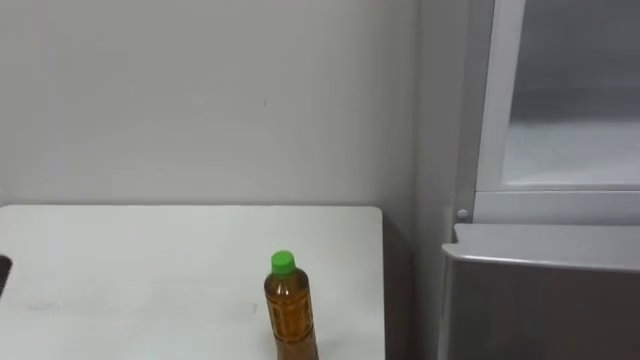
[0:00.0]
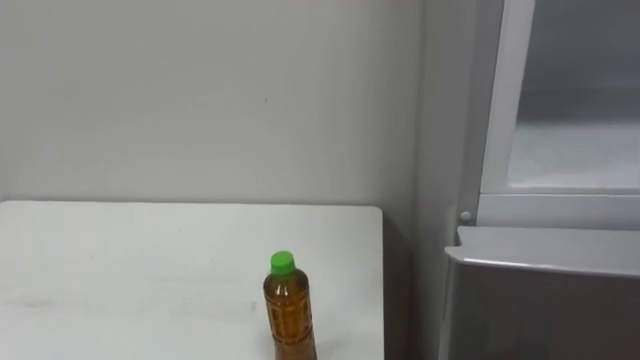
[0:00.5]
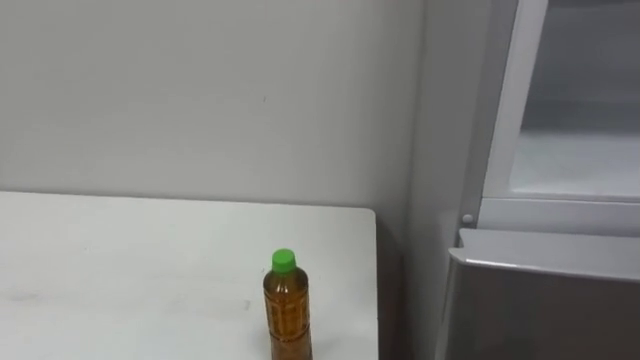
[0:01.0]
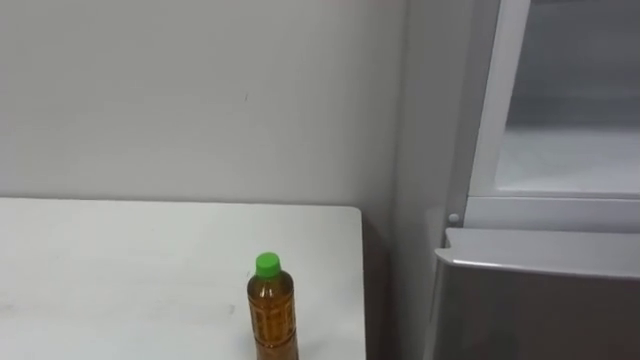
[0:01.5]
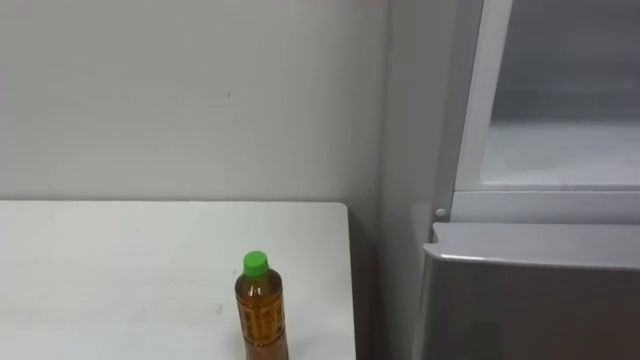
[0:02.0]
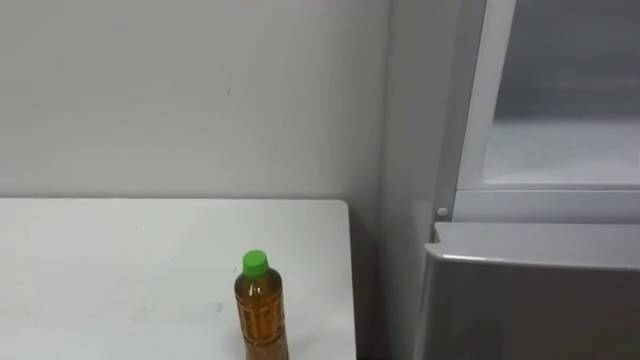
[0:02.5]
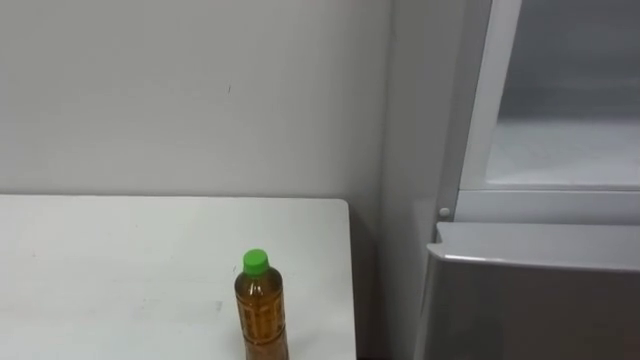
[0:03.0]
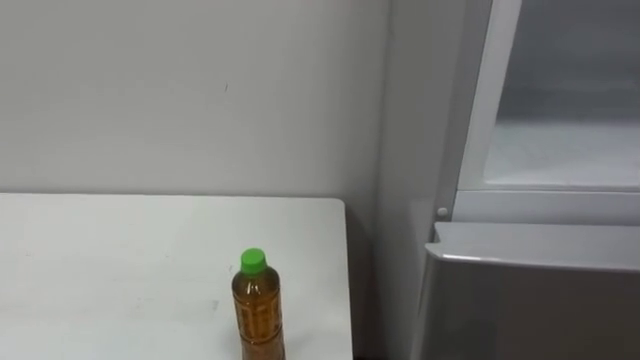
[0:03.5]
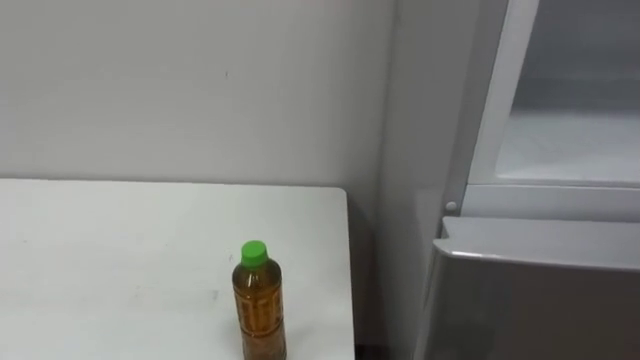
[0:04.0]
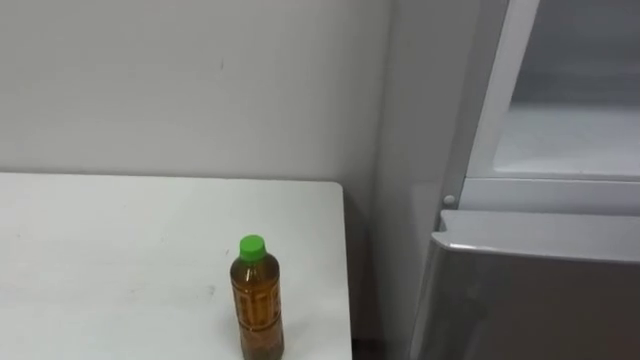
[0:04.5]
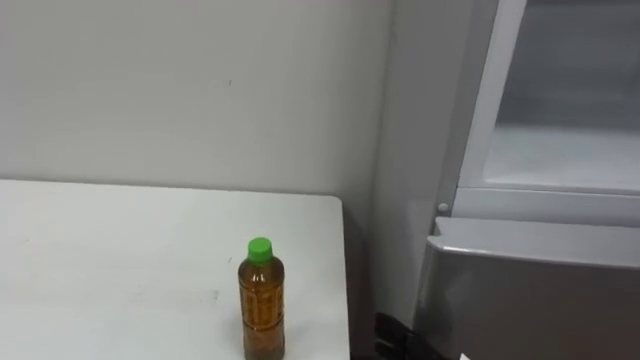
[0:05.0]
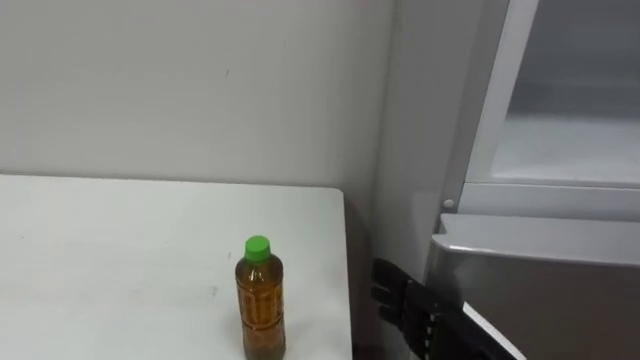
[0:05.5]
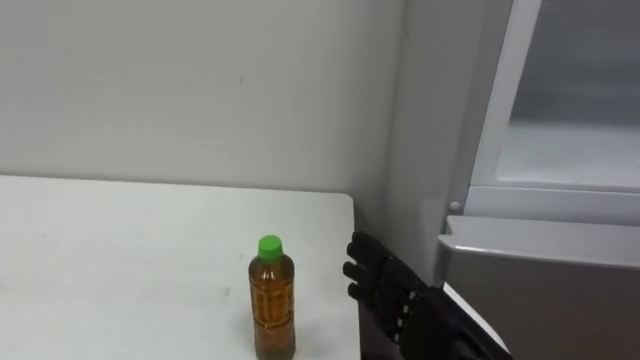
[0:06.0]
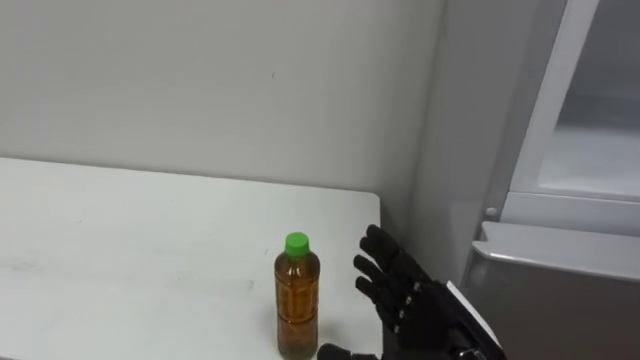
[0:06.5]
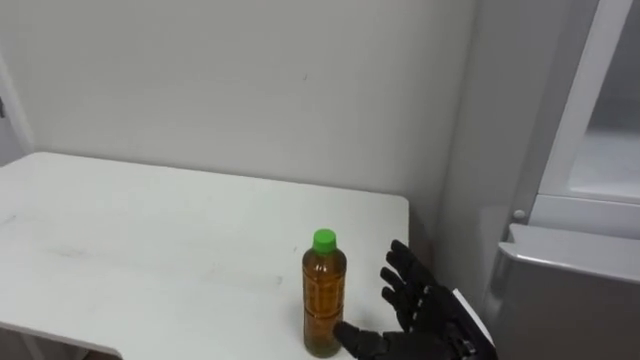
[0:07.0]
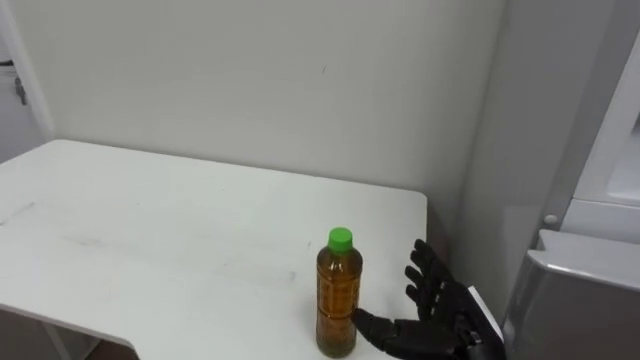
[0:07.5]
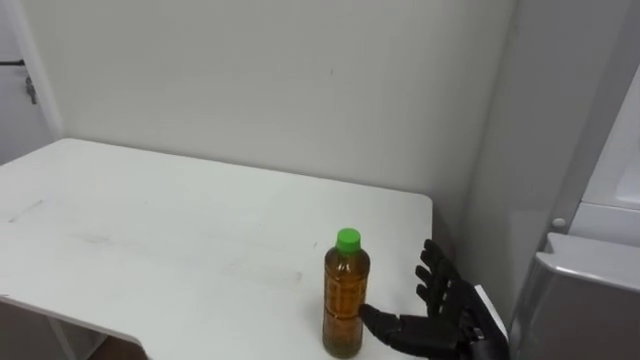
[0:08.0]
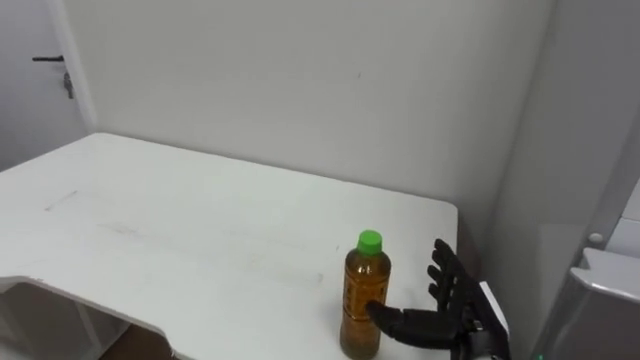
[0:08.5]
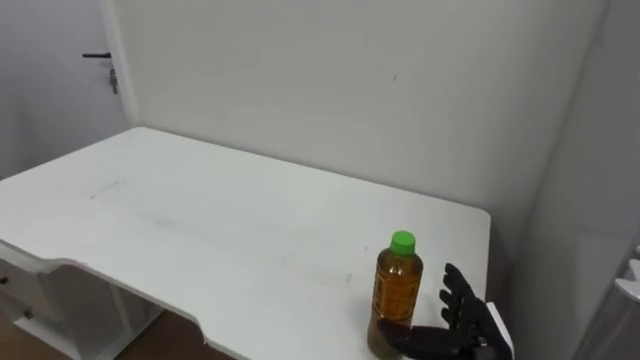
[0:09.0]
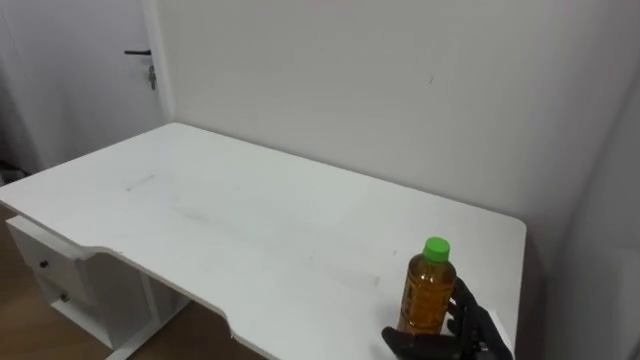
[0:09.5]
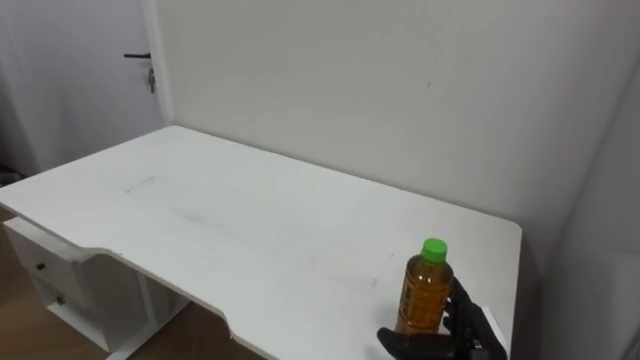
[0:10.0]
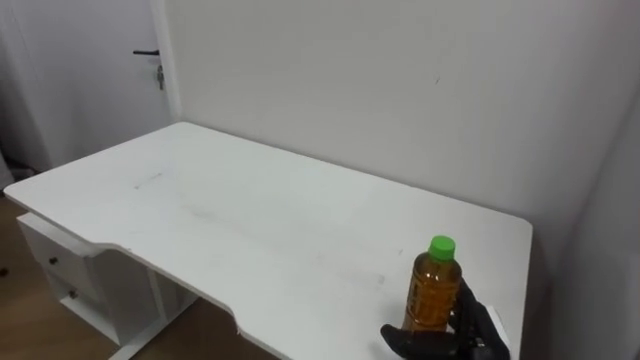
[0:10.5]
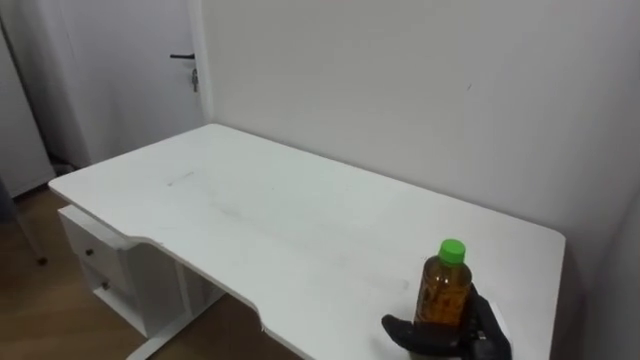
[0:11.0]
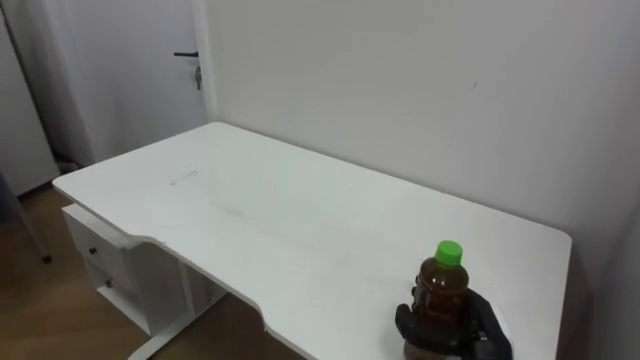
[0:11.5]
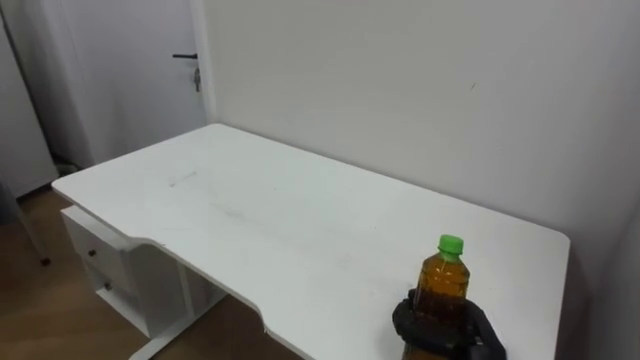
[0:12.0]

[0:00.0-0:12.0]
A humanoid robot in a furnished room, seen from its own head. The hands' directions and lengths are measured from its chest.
Task of the whole recording: Open the upper refrigerator door, put the drink from the table into the refrigerator, and then close the refrigerator door.
0:06.0 to 0:08.0: The right hand moves forward and downward, about 10 cm.
0:08.0 to 0:10.0: The right hand goes some 5 cm downward.
0:10.0 to 0:12.0: The right hand closes.

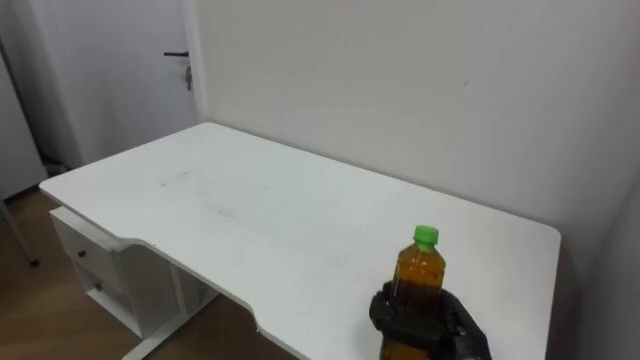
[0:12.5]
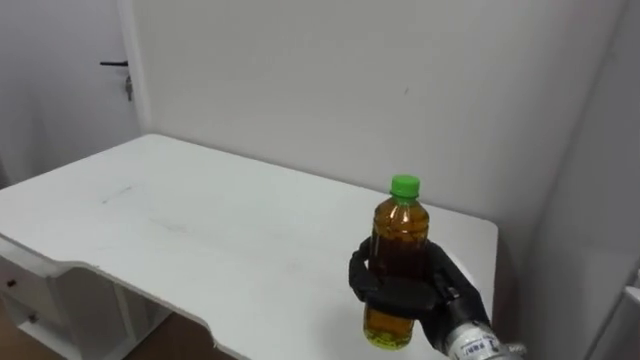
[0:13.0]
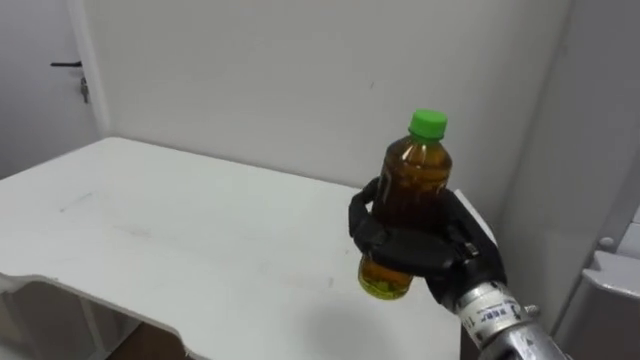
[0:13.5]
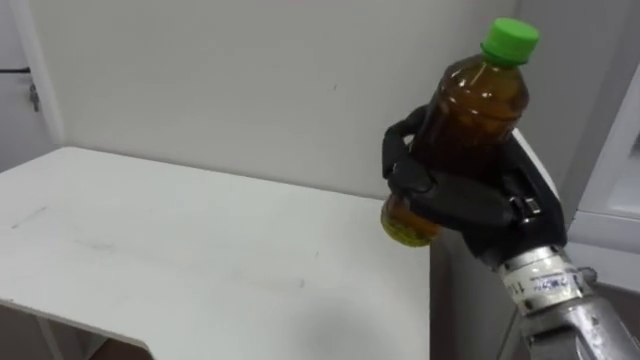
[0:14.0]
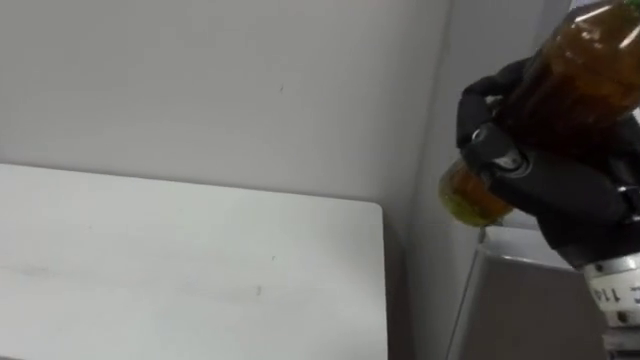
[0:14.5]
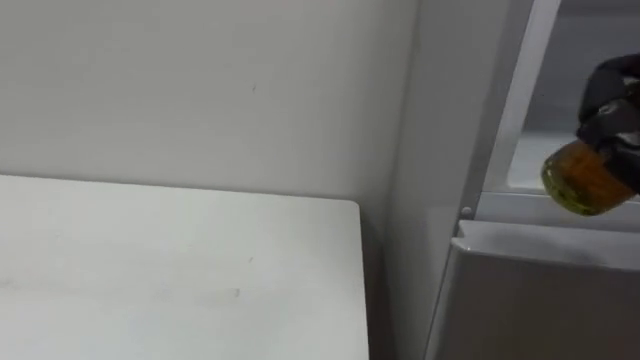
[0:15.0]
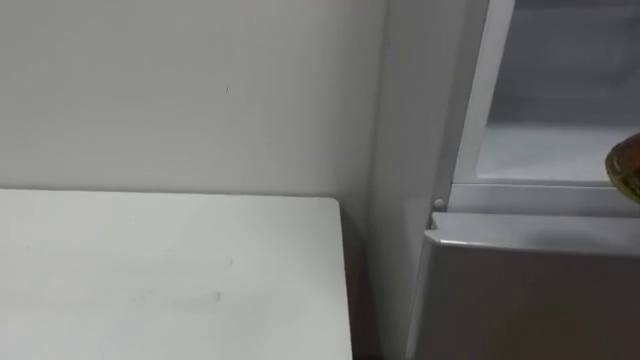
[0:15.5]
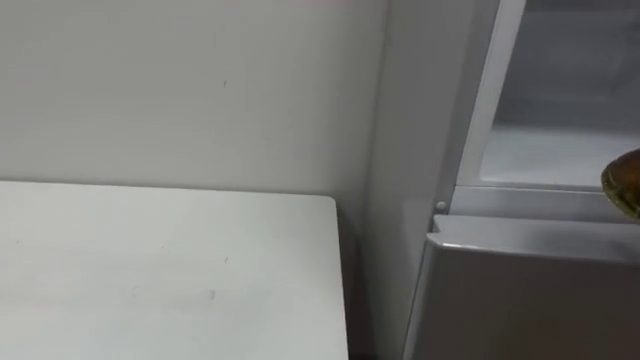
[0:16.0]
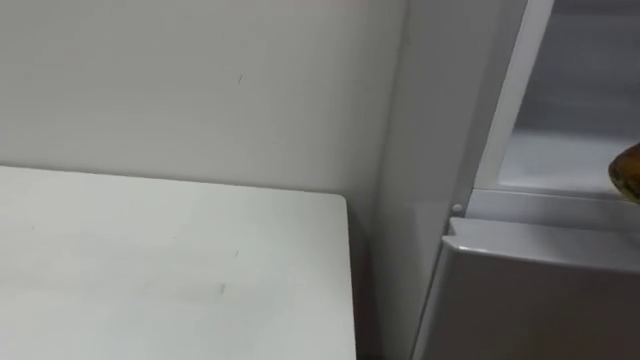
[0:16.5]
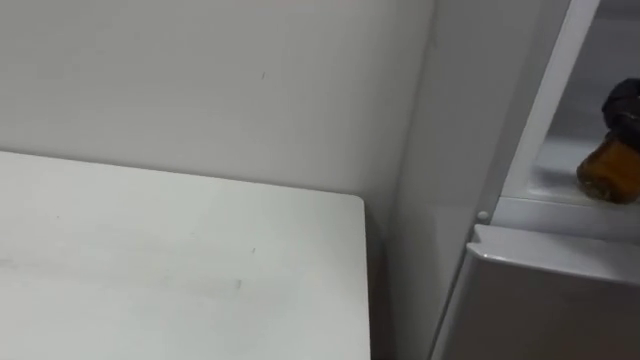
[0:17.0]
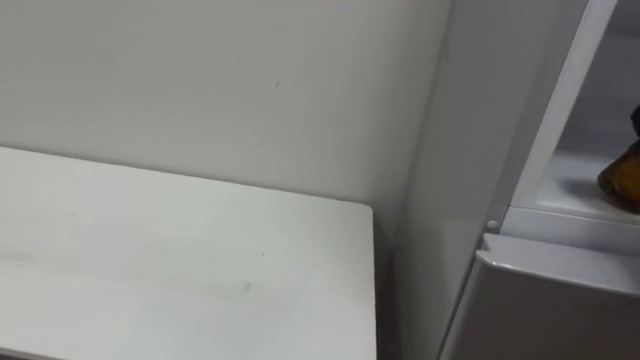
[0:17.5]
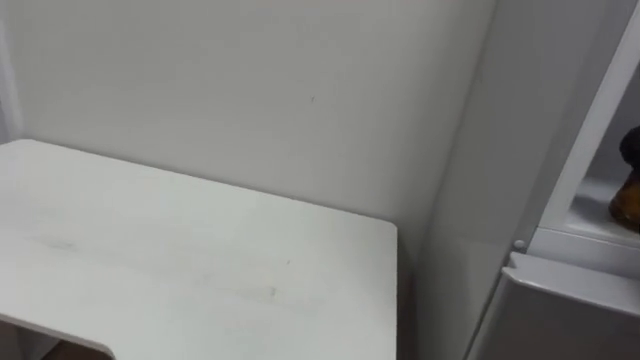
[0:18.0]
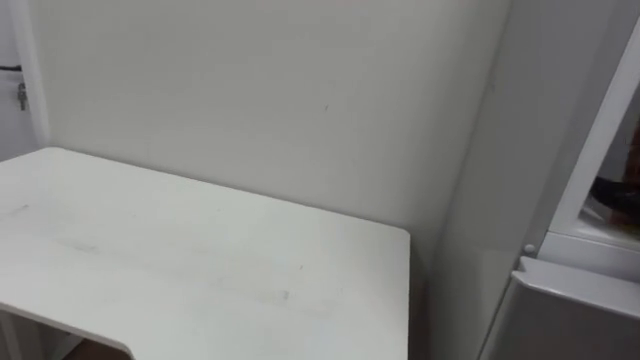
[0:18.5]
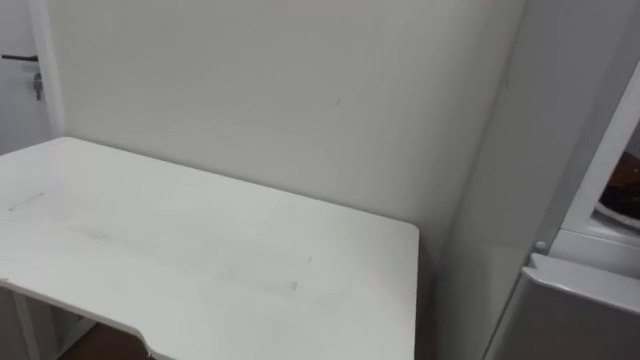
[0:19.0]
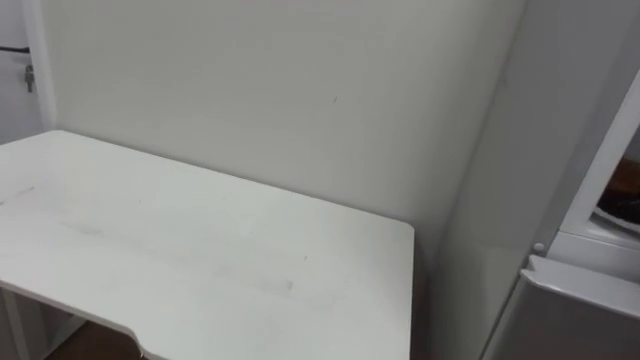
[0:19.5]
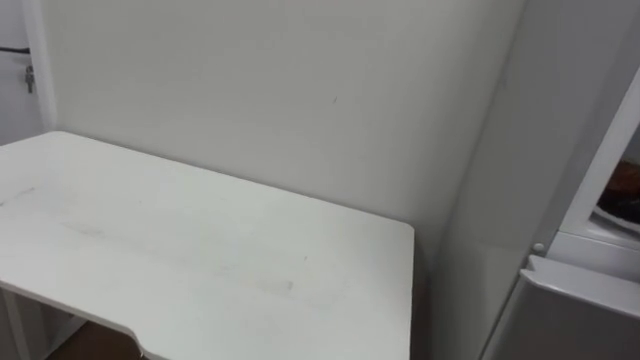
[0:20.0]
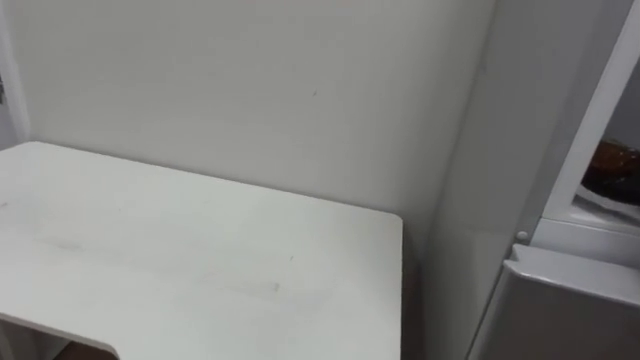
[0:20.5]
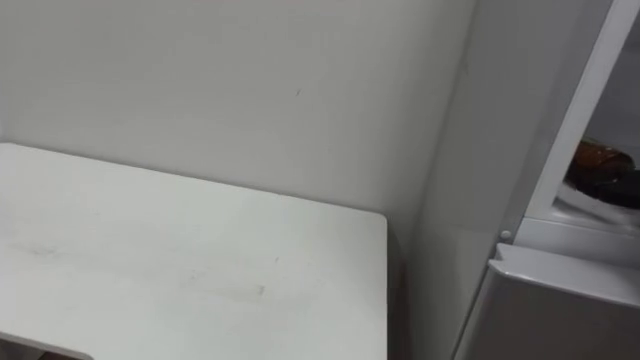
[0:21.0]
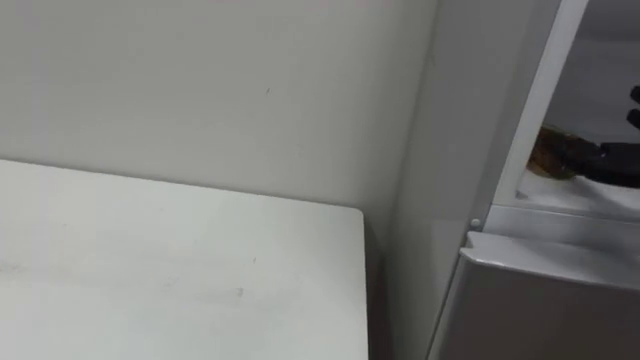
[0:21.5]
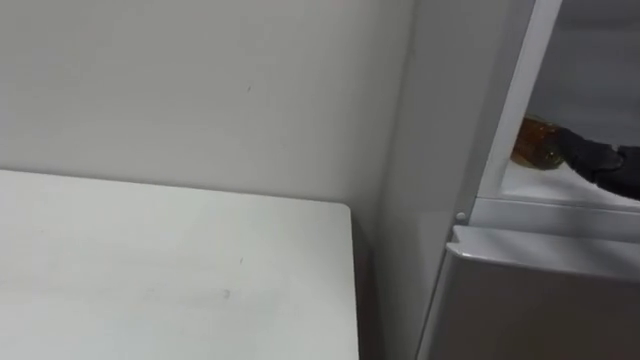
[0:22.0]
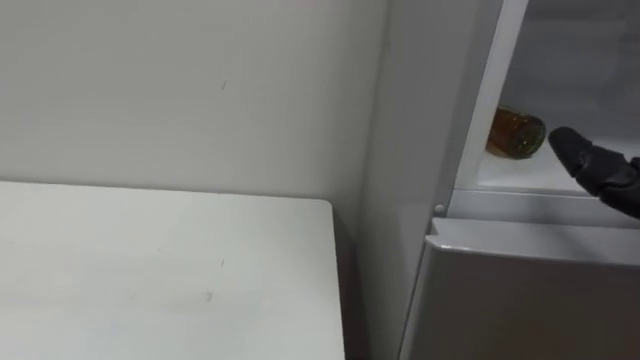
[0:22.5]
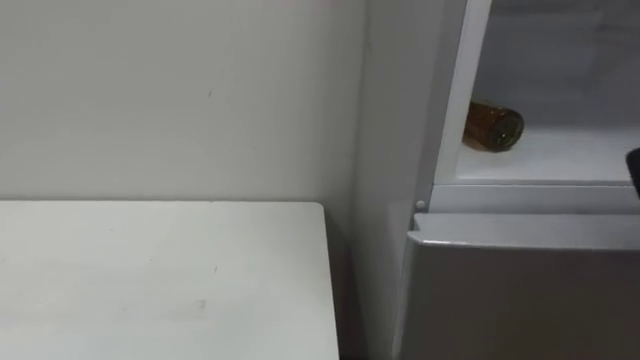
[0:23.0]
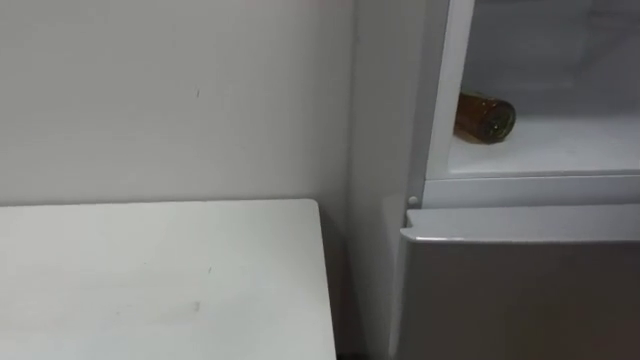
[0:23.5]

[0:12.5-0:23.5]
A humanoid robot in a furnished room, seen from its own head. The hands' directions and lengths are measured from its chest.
Task of the whole recording: Open the upper refrigerator door, put the drink from the table into the refrigerator, and then close the refrigerator door.
0:12.5 to 0:14.5: The right hand moves upward, about 25 cm.
